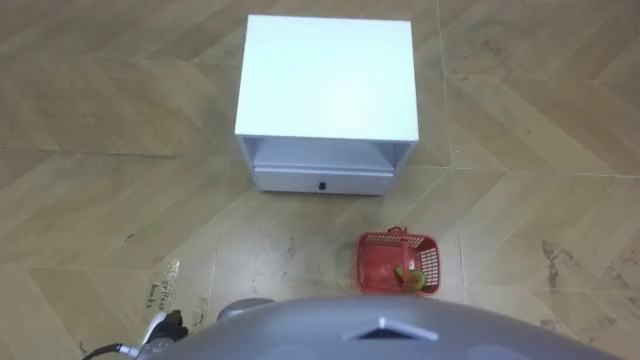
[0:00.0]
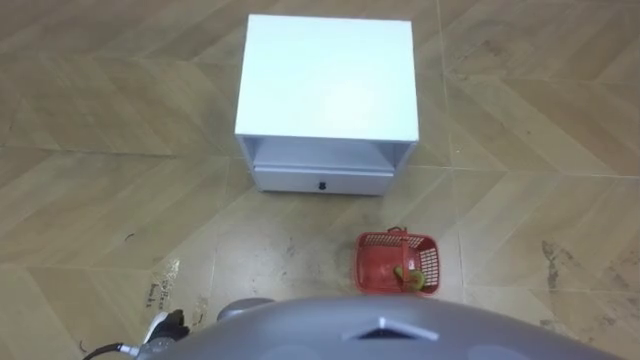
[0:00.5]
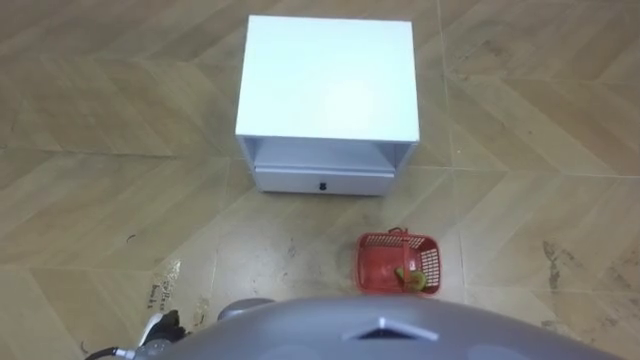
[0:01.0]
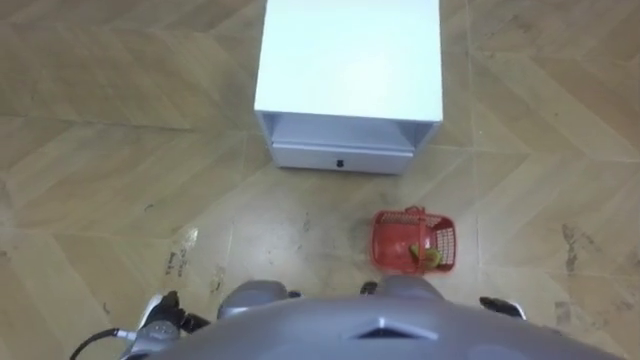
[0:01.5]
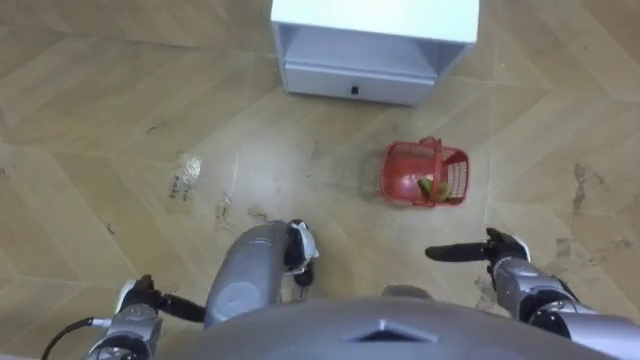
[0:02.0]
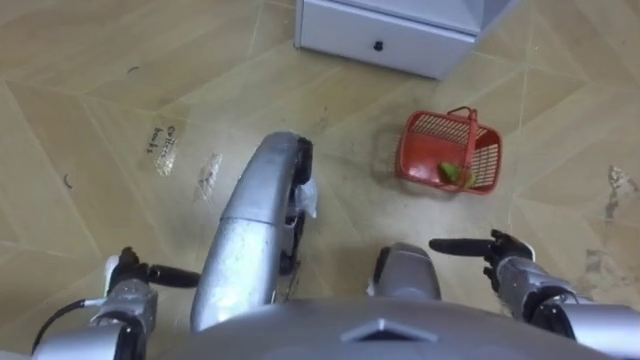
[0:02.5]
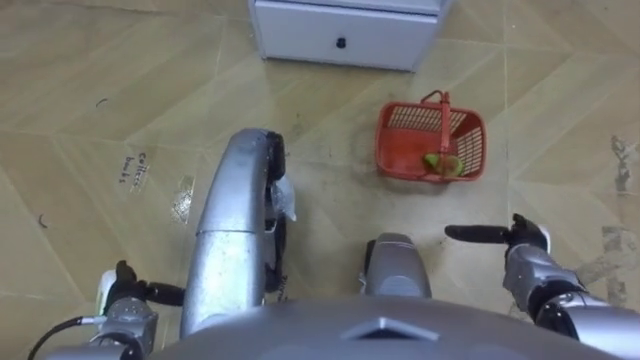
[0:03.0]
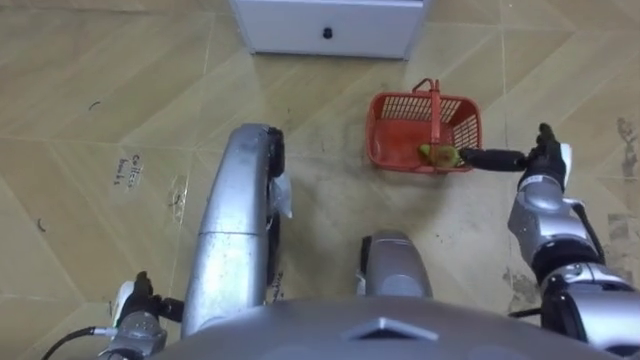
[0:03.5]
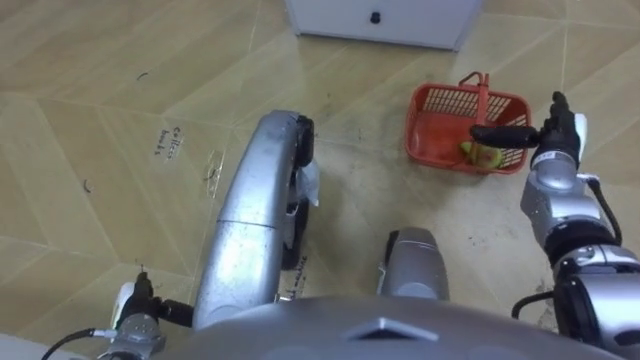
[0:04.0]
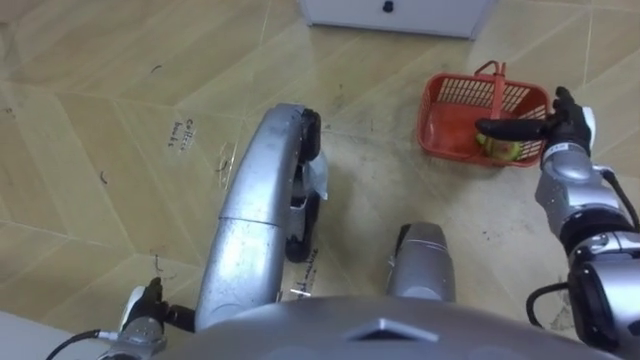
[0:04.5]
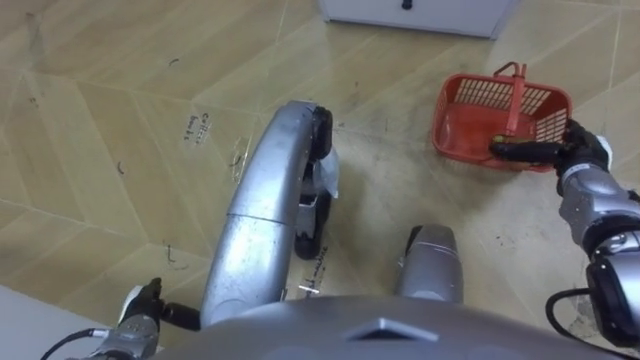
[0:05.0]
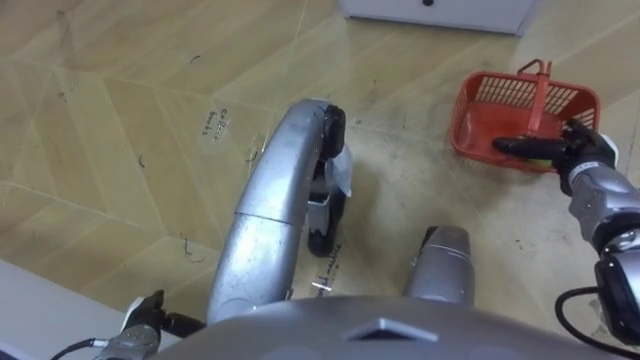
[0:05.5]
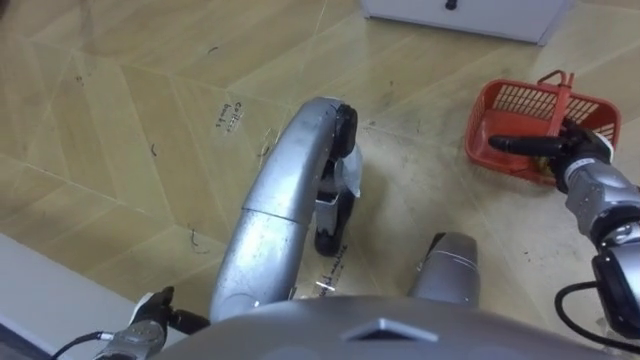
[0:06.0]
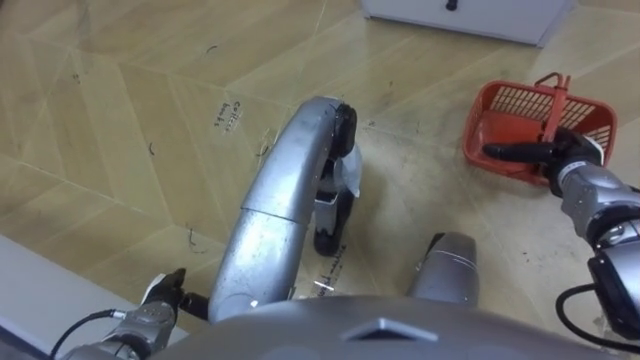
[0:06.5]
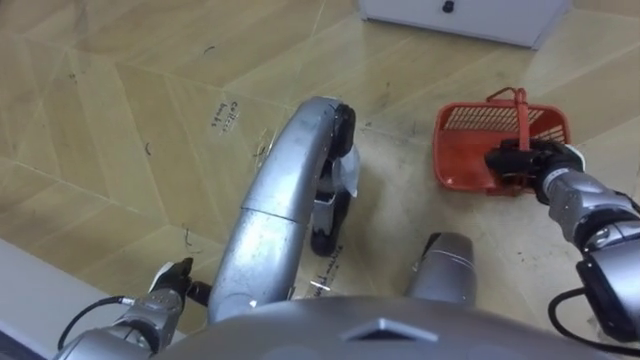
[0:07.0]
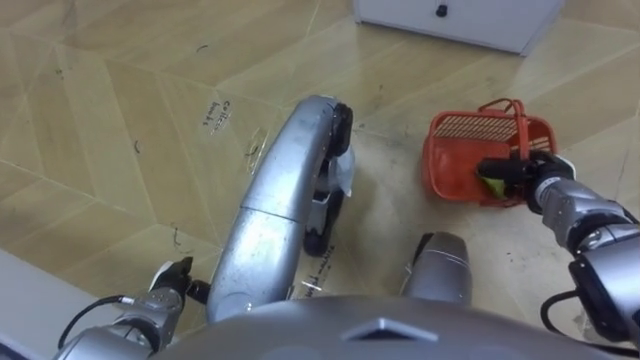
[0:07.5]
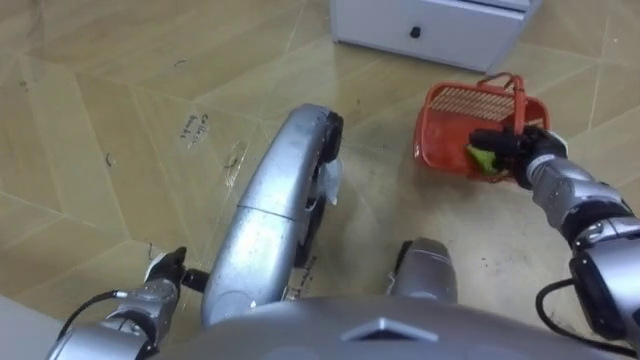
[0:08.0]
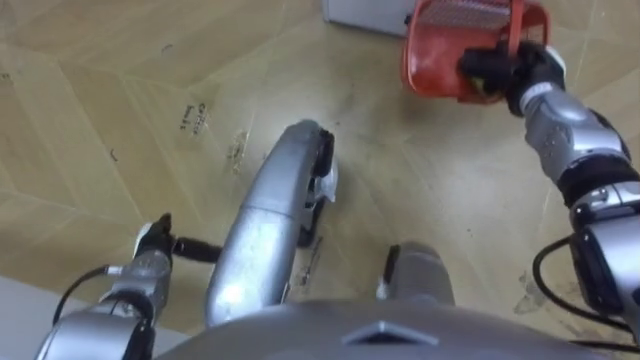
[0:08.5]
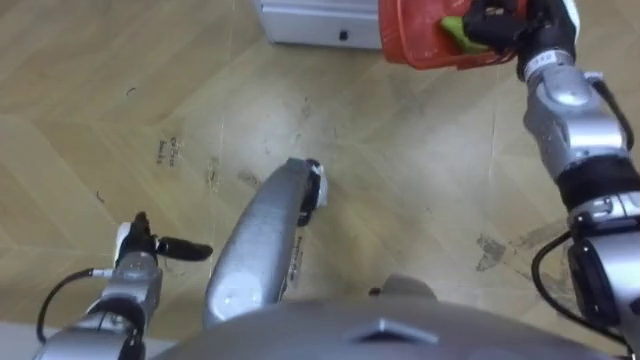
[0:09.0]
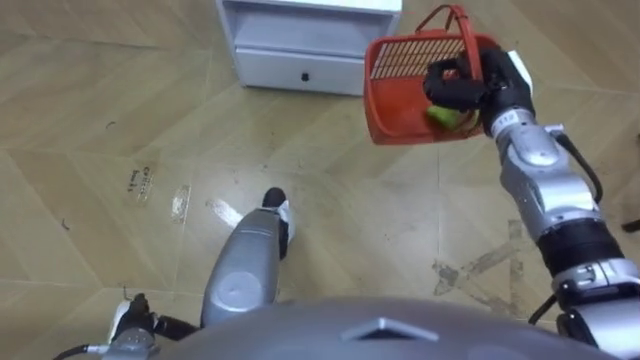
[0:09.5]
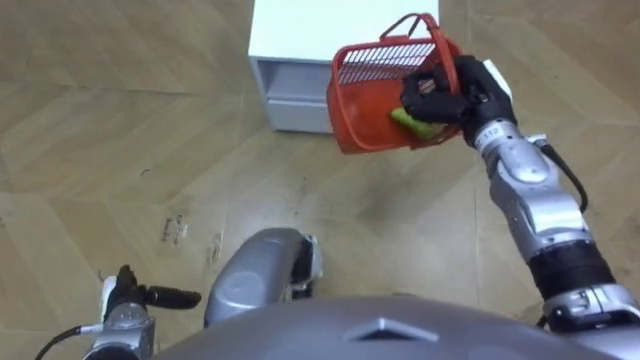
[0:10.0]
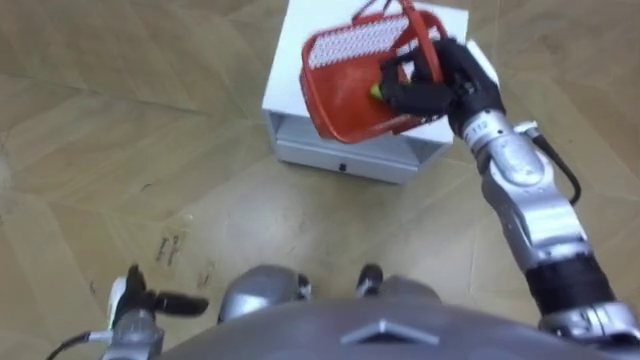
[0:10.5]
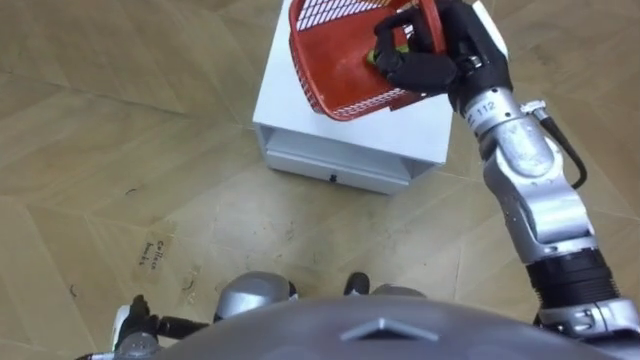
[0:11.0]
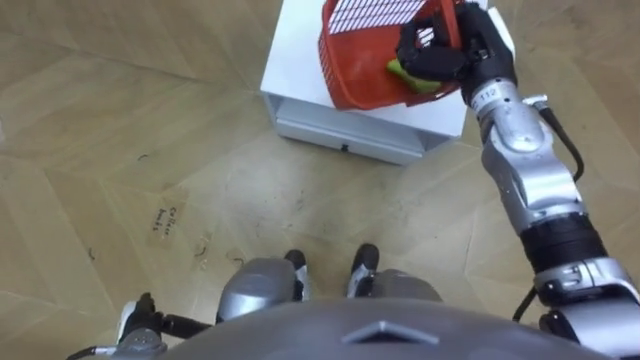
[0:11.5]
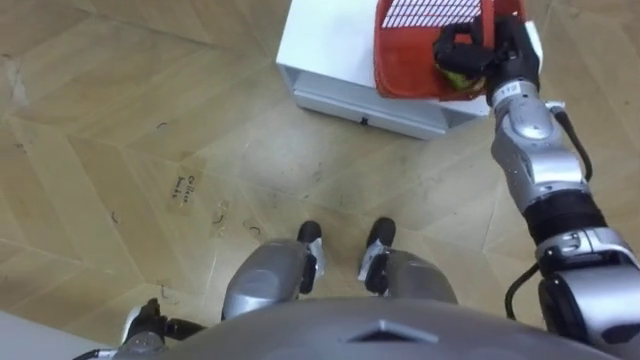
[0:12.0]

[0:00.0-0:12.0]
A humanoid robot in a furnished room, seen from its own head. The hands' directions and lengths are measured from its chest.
Task of the whole recording: Pick up the fruit basket from the floor and place it on the cabinet.
0:02.0 to 0:04.0: The right hand travels forward and upward by some 20 cm.
0:06.0 to 0:08.0: The right hand goes roughly 5 cm to the left, and closes. The left hand is displaced forward by some 5 cm.
0:08.0 to 0:10.0: The right hand moves to the left and upward, roughly 15 cm. Meanwhile the left hand travels backward and back again, roughly 5 cm each way.
0:10.0 to 0:12.0: The right hand reaches some 10 cm upward, then returns.

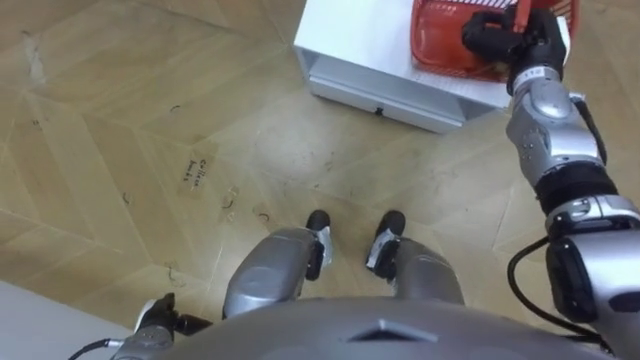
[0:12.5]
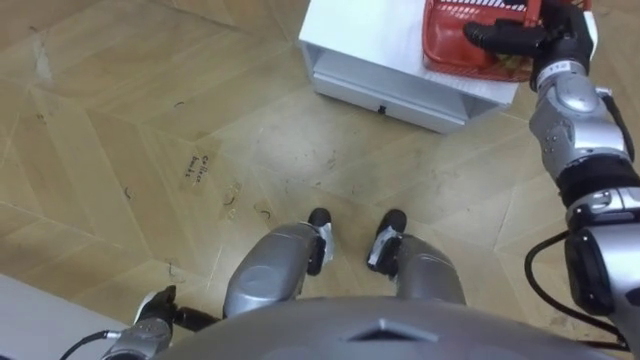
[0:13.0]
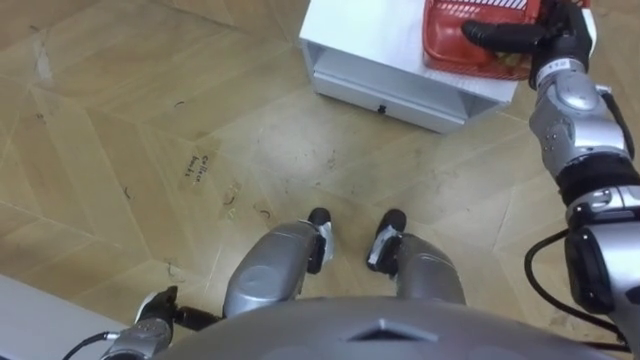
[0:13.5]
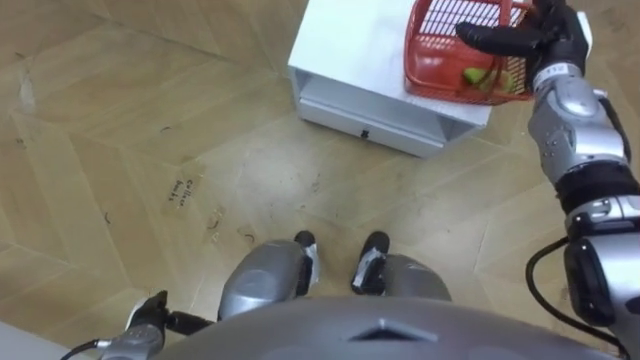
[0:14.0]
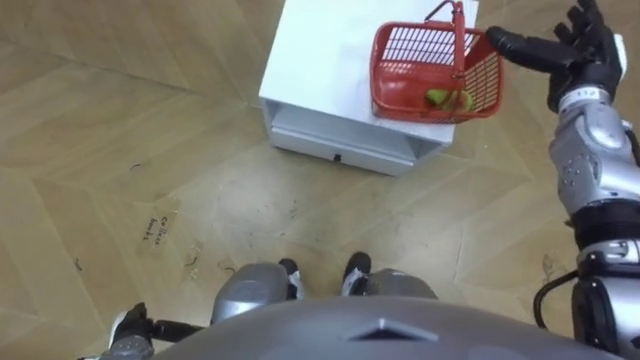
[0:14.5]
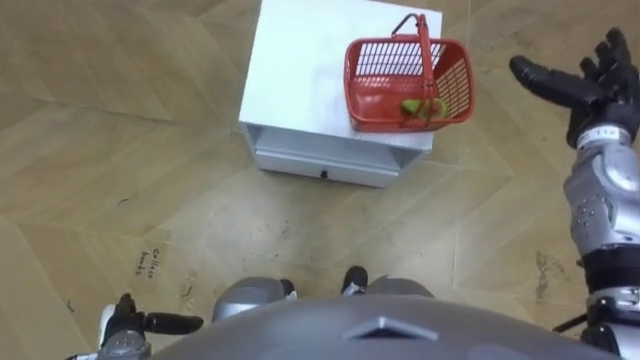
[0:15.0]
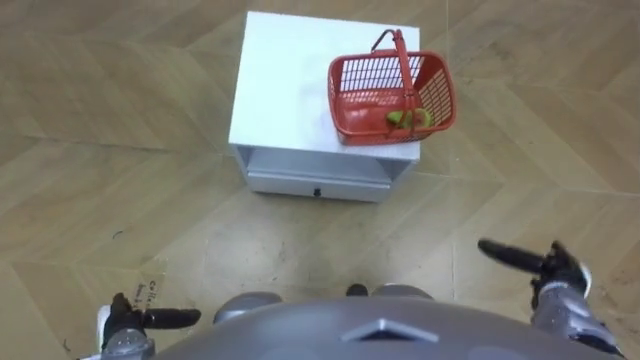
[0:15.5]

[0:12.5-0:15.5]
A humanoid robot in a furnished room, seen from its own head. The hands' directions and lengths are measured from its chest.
Task of the whole recording: Pick up the fruit basket from the floor and place it on the cabinet.
0:12.5 to 0:14.0: The right hand opens its fingers.
0:14.0 to 0:15.5: The right hand is displaced backward and downward by some 30 cm.

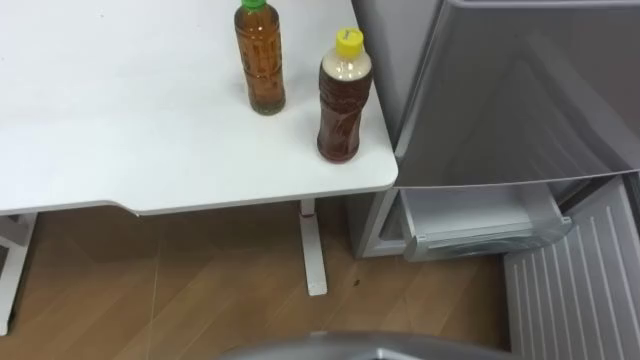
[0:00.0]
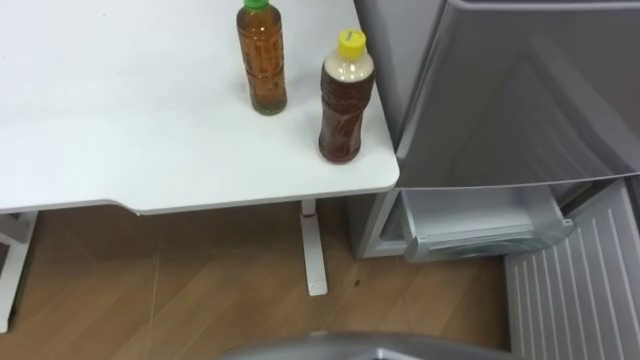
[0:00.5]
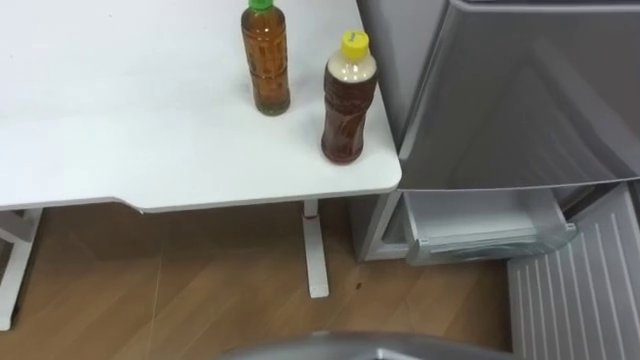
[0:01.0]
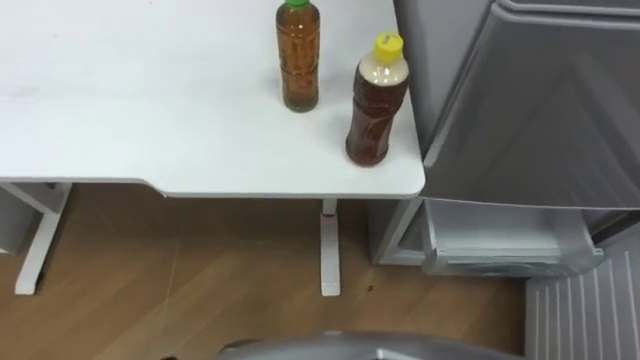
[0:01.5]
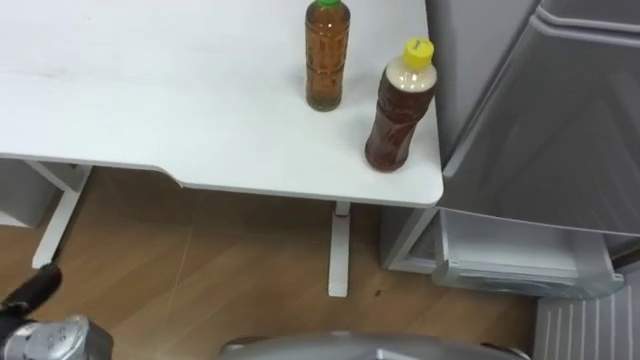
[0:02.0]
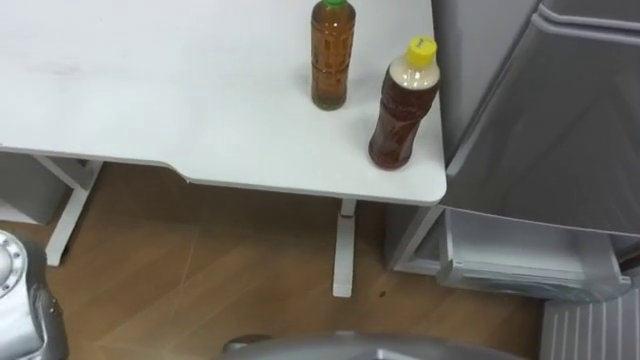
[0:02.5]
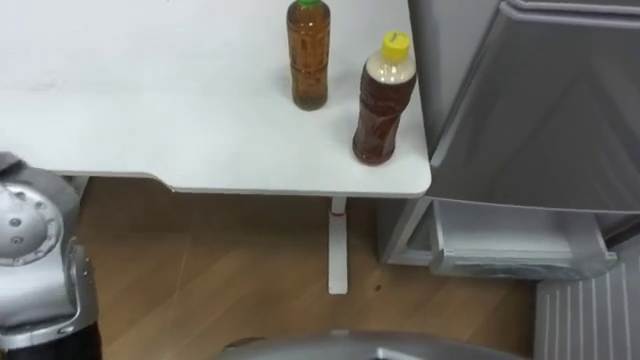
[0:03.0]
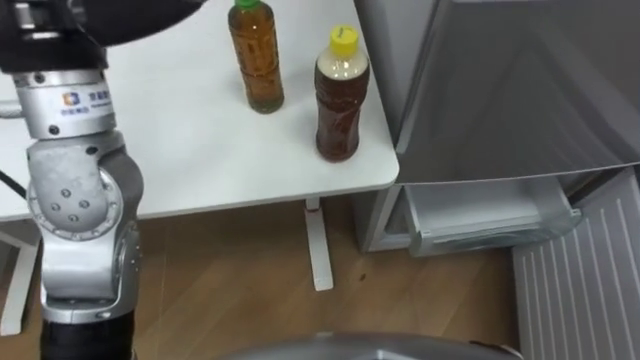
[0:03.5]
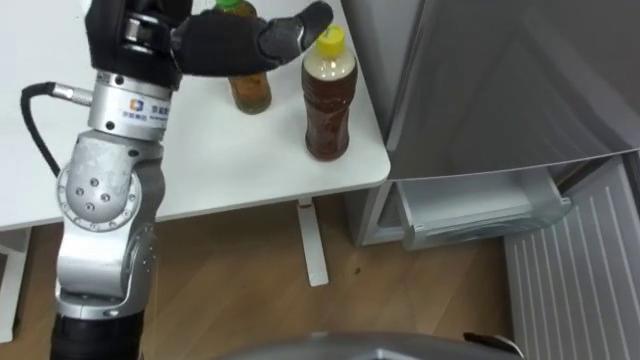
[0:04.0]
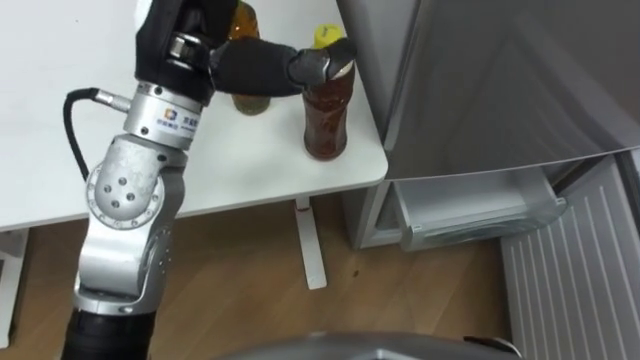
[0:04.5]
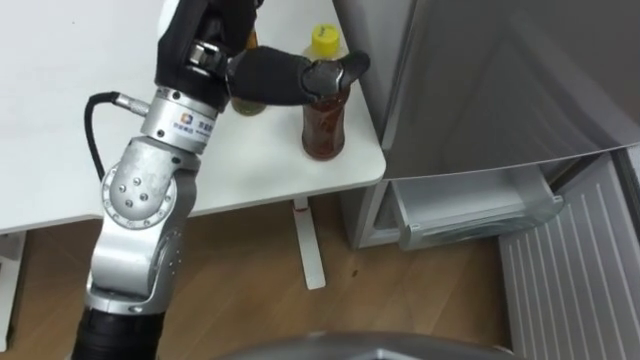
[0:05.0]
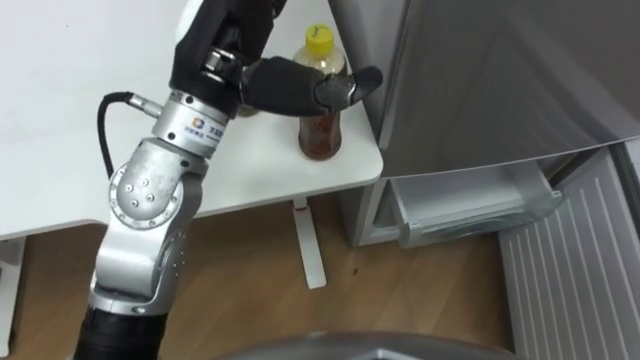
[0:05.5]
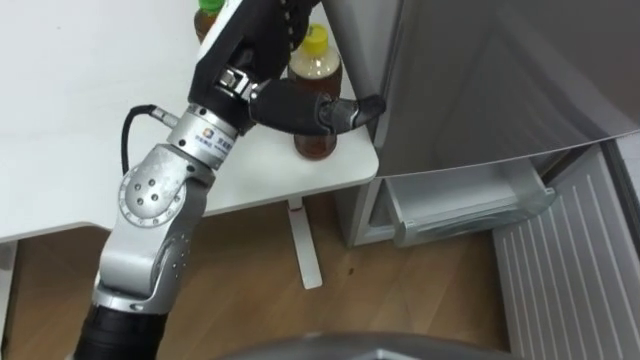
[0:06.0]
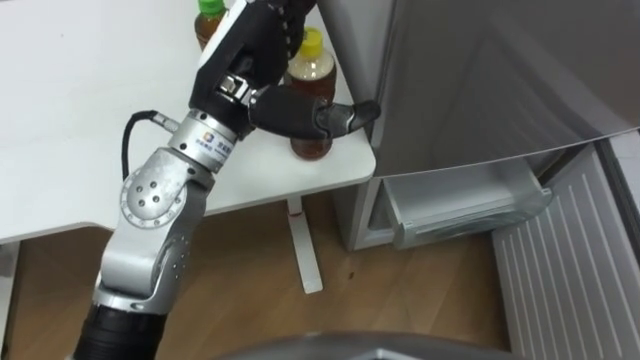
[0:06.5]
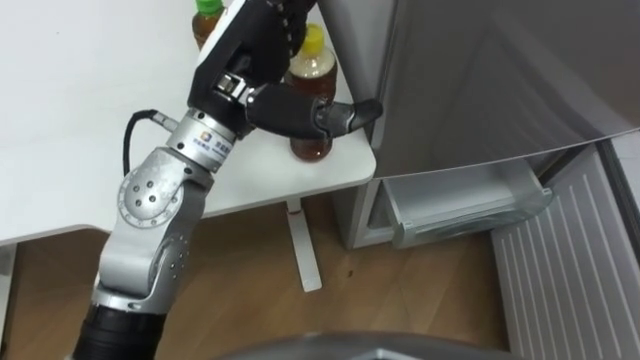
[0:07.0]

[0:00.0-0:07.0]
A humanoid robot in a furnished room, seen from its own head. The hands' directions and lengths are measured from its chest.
Task of the whole recording: Place the drink on the table on the bottom shelf of the refrigerator, then close the drawer and the refrigerator door.
0:03.5 to 0:05.0: The left hand goes some 10 cm to the right and downward.
